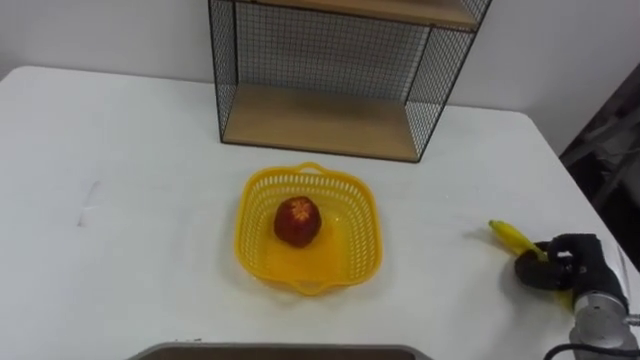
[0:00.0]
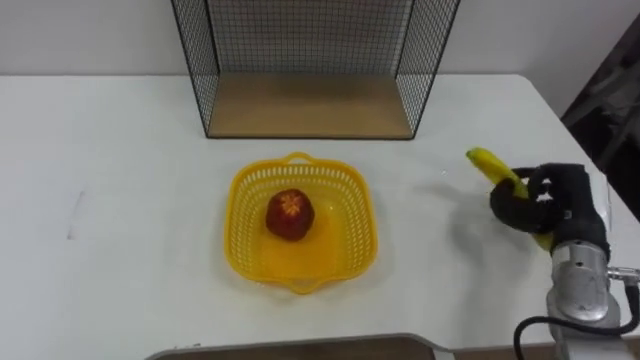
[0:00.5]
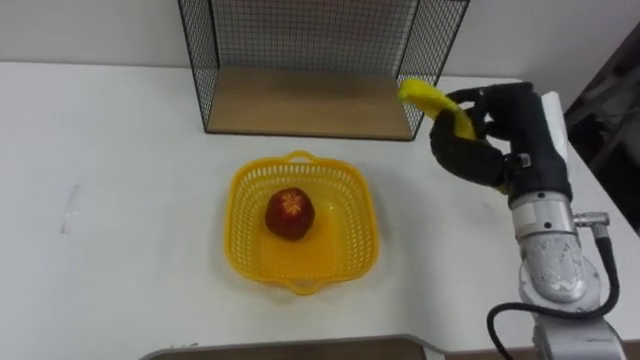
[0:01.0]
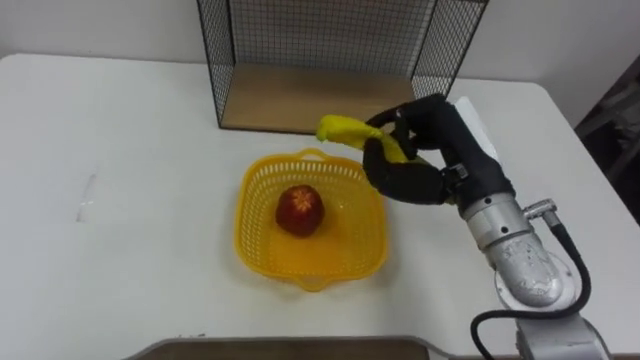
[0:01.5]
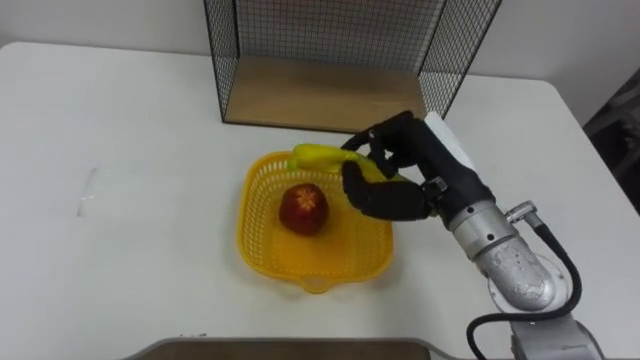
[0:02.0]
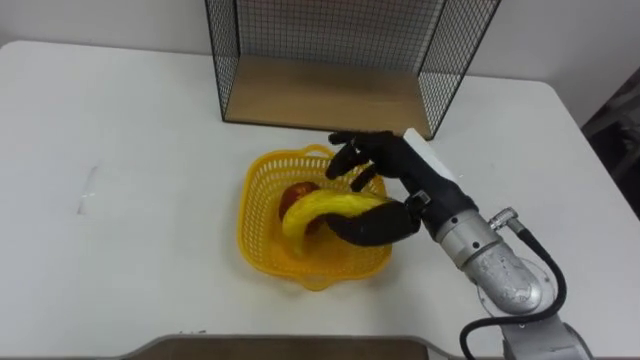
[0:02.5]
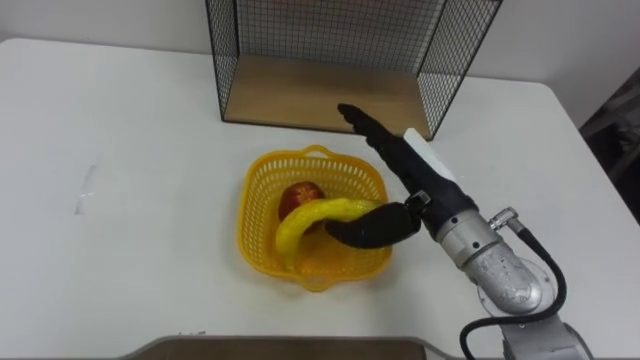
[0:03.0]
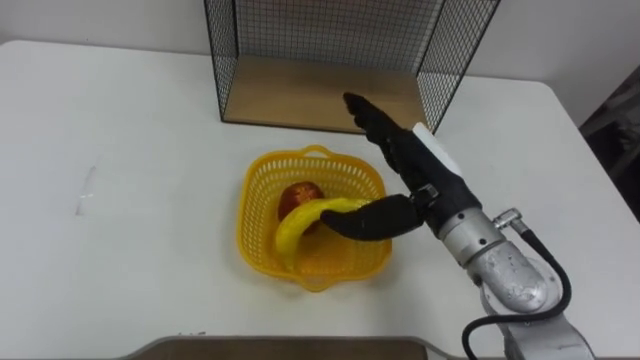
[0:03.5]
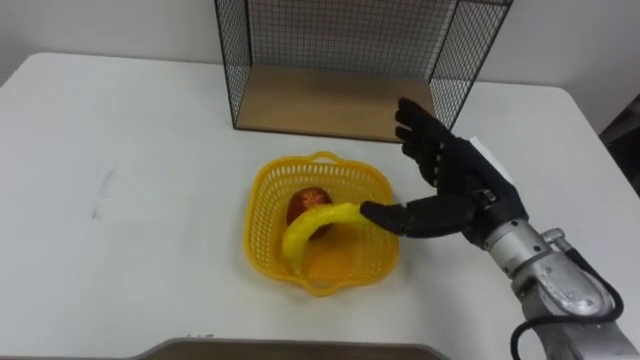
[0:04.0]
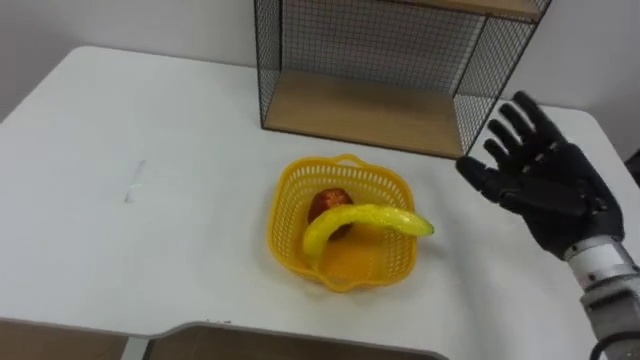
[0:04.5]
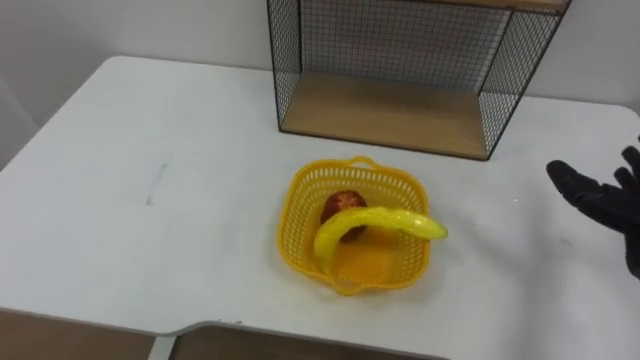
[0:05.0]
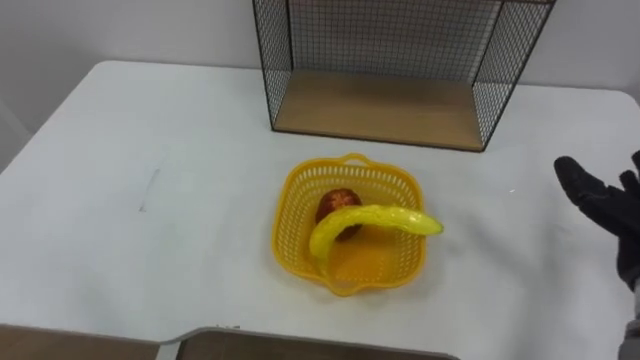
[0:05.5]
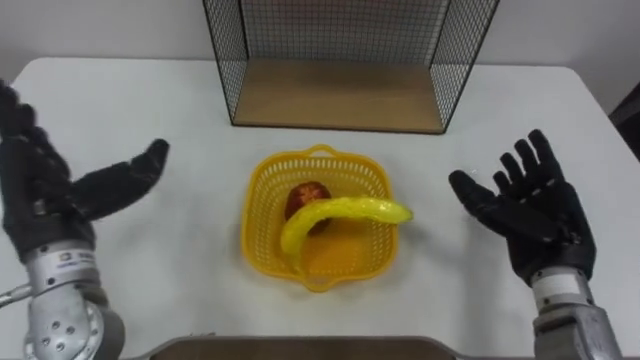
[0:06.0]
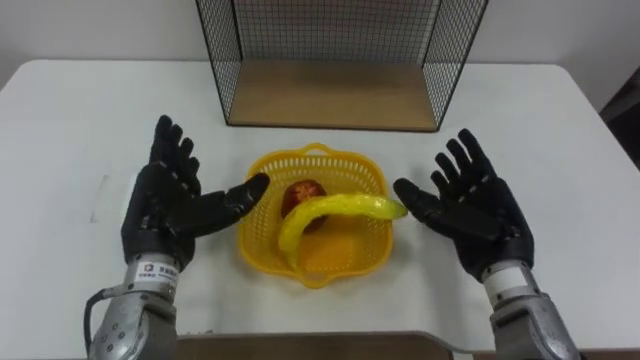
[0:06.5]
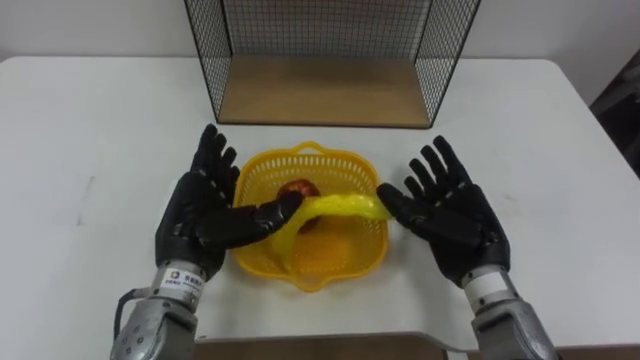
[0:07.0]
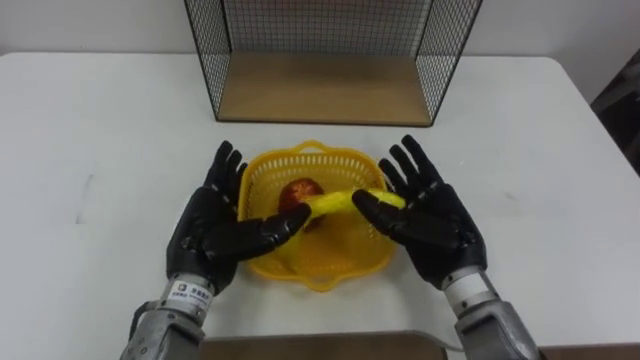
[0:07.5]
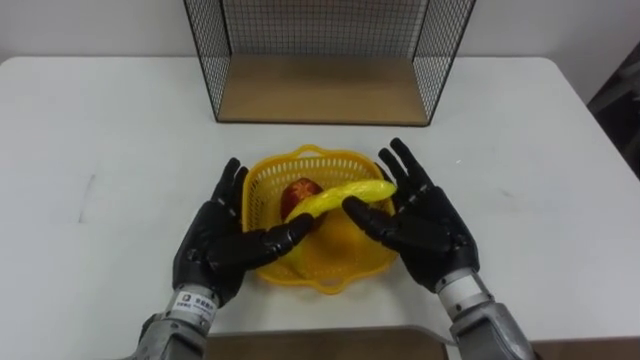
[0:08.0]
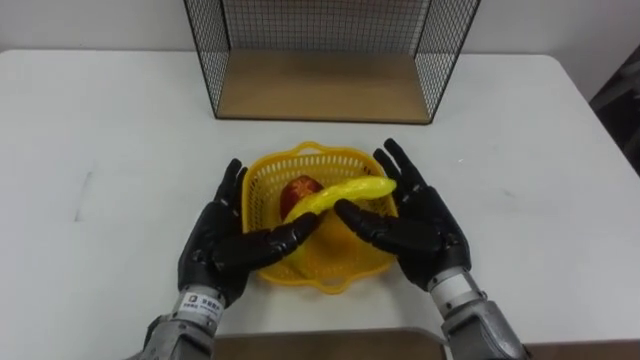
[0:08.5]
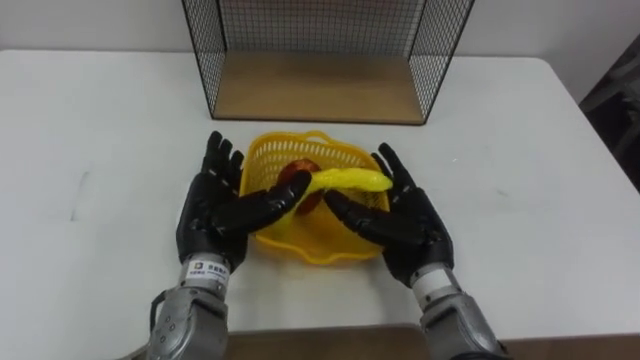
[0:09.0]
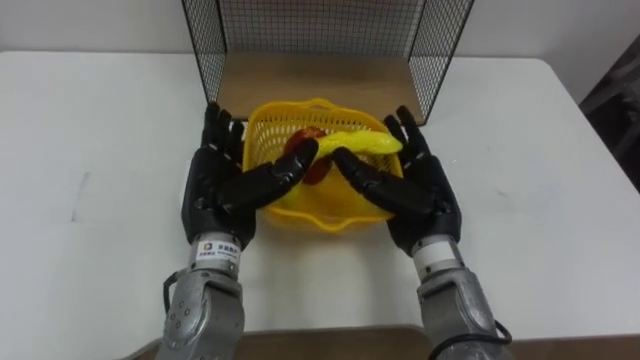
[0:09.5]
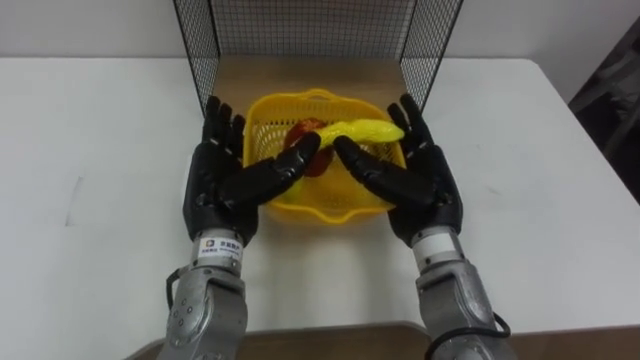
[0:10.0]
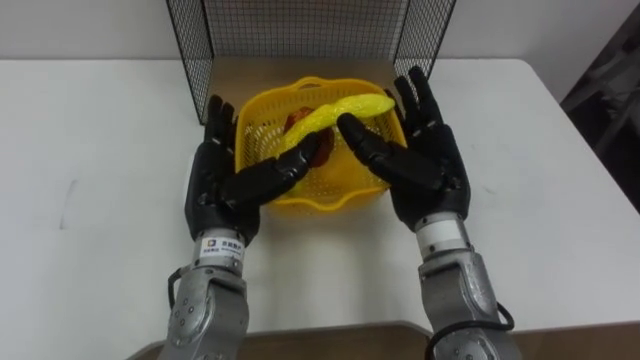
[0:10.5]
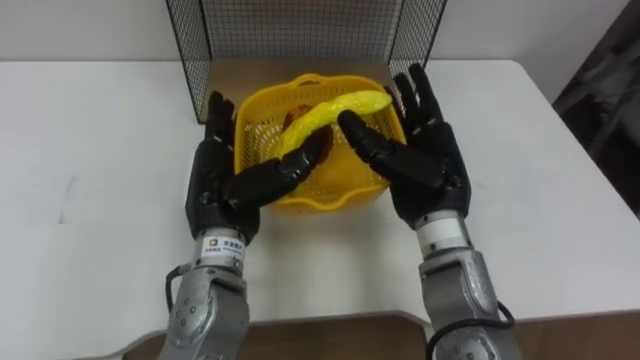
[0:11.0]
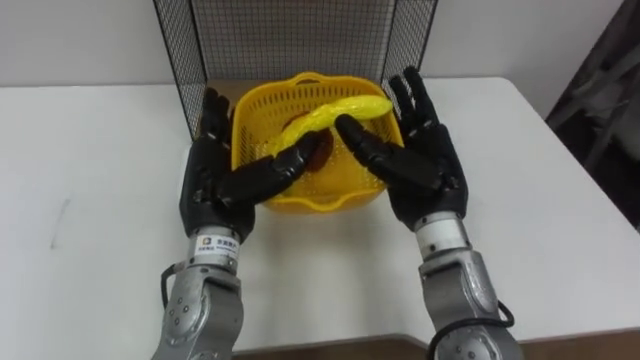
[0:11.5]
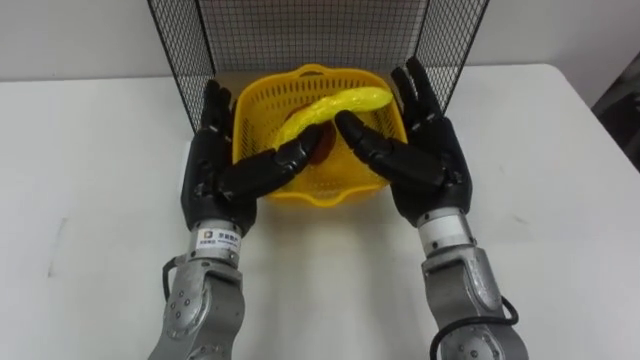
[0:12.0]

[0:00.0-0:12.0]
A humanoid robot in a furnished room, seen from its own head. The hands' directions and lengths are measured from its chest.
Task of the whole recording: Put the fruit on the table into the basket, then place the basket on the shelf.
0:00.0 to 0:02.0: The right hand is displaced to the left and upward by some 30 cm.
0:02.0 to 0:04.0: The right hand opens up.
0:06.0 to 0:08.0: The left hand is displaced to the right and downward by approximately 20 cm, while the right hand shifts roughly 15 cm to the left.
0:08.0 to 0:10.0: The left hand shifts approximately 5 cm upward. The right hand moves approximately 5 cm.

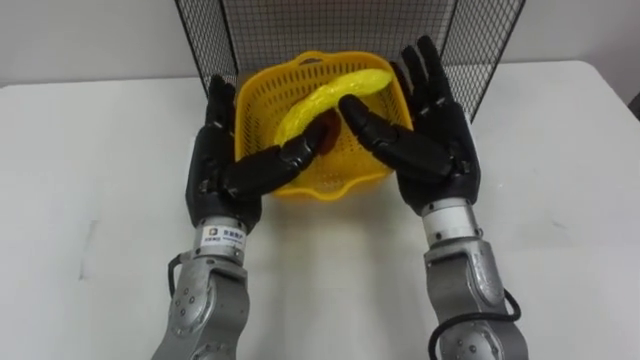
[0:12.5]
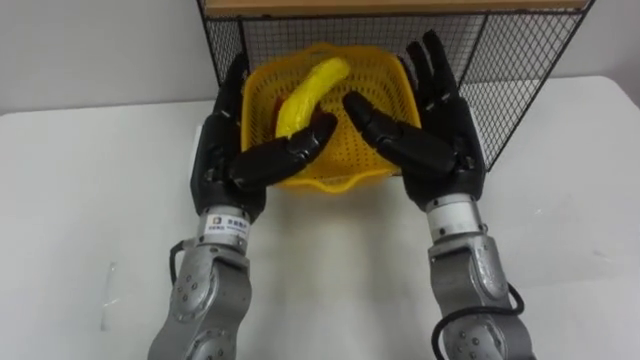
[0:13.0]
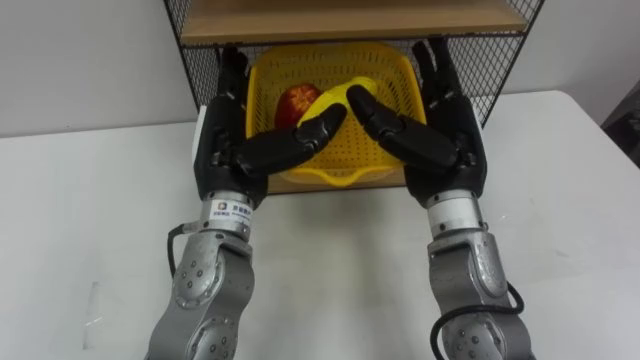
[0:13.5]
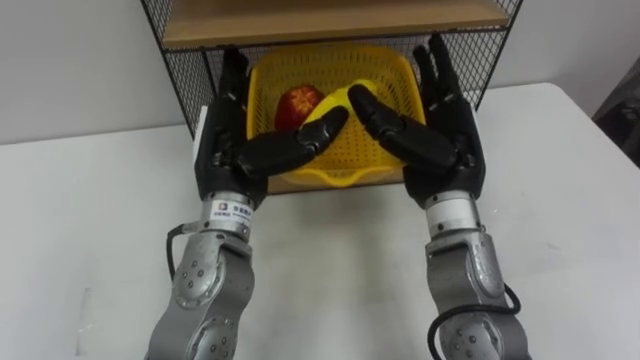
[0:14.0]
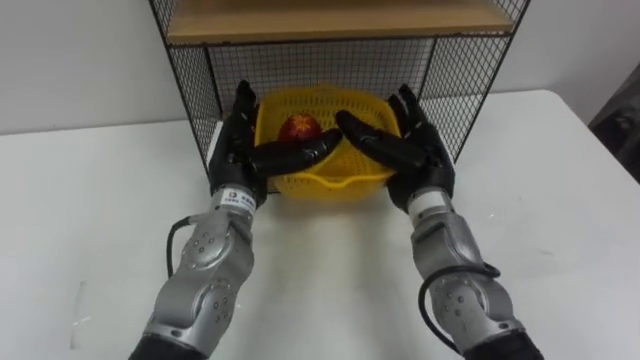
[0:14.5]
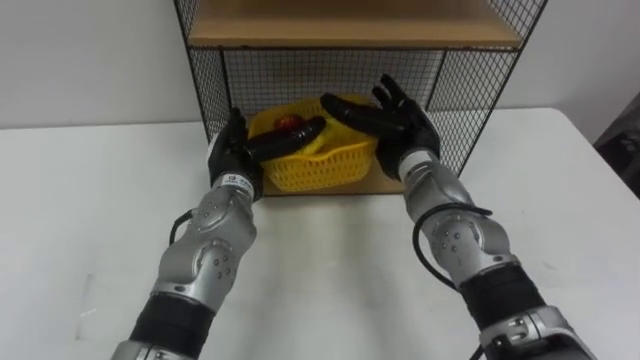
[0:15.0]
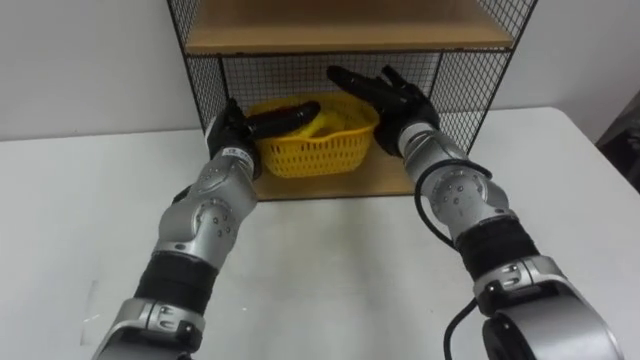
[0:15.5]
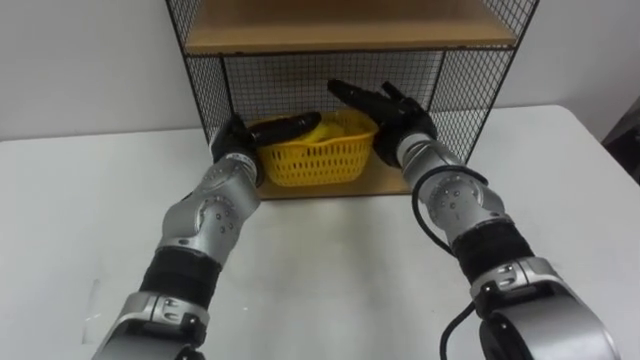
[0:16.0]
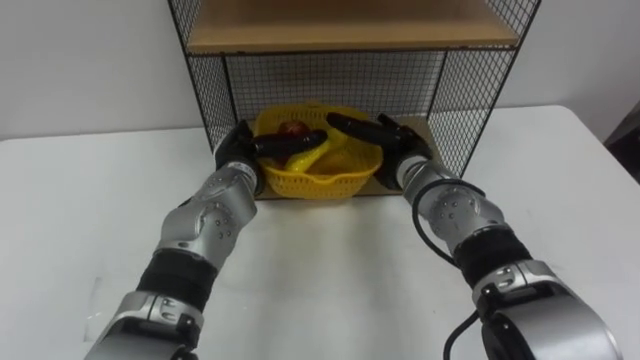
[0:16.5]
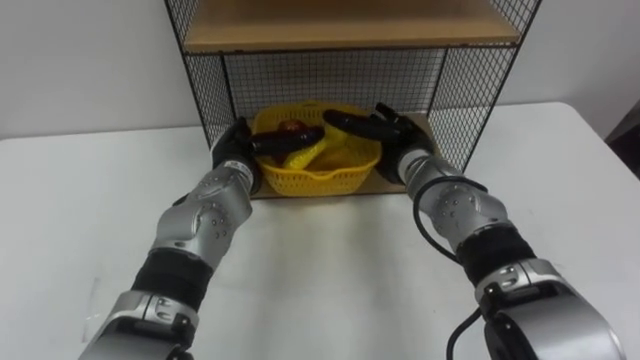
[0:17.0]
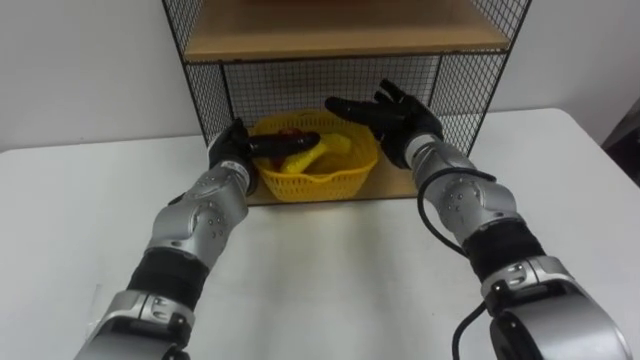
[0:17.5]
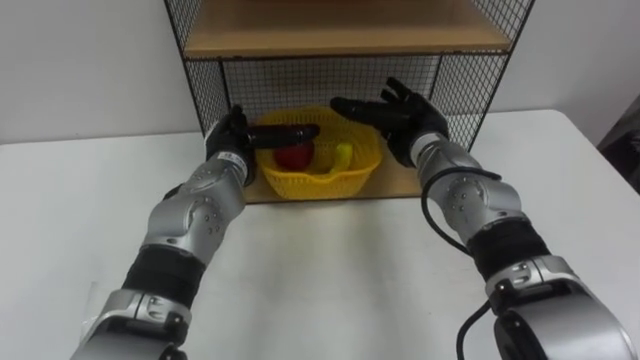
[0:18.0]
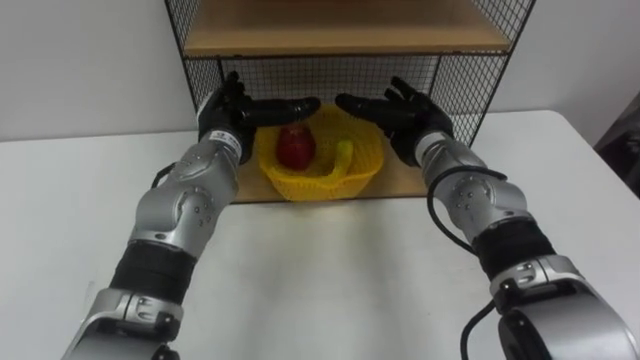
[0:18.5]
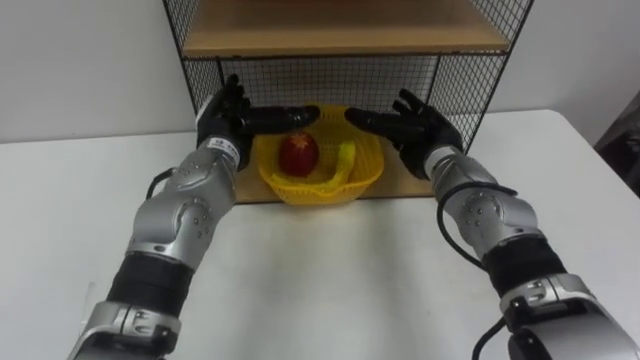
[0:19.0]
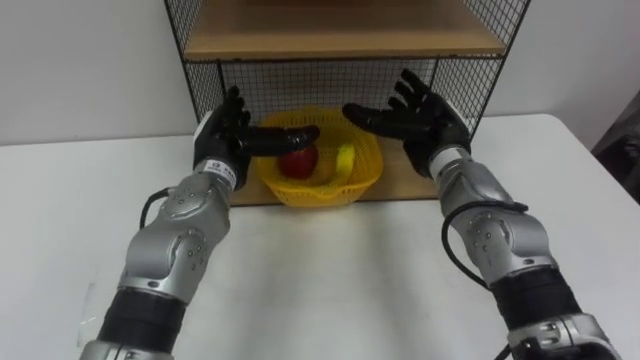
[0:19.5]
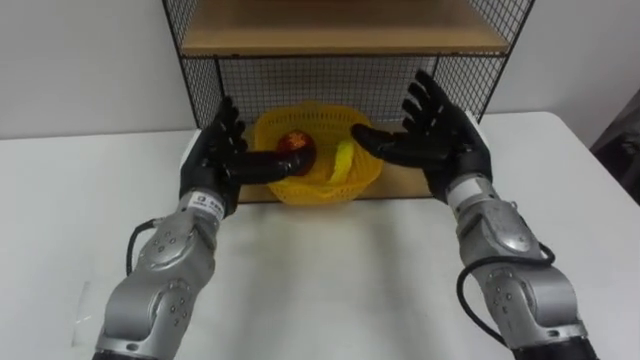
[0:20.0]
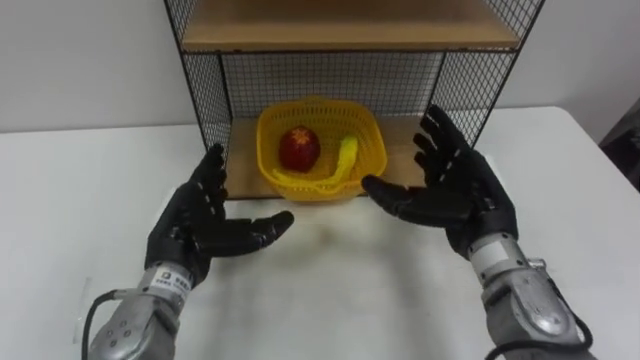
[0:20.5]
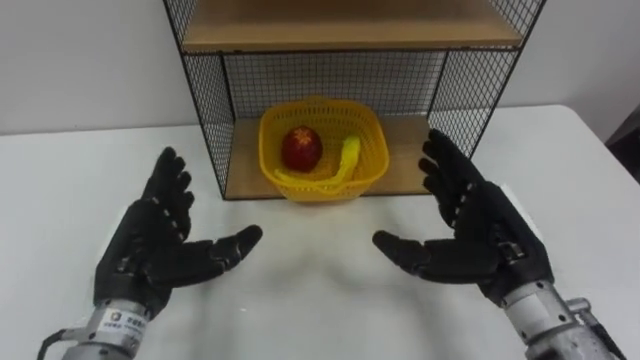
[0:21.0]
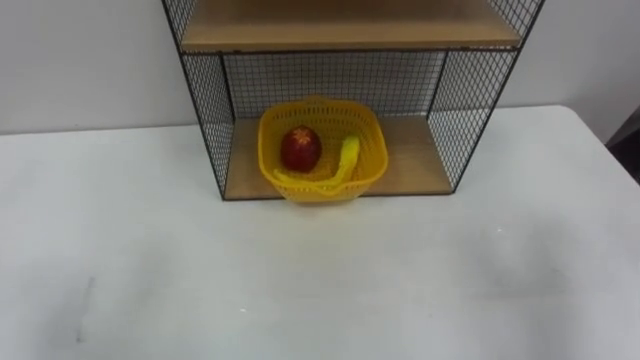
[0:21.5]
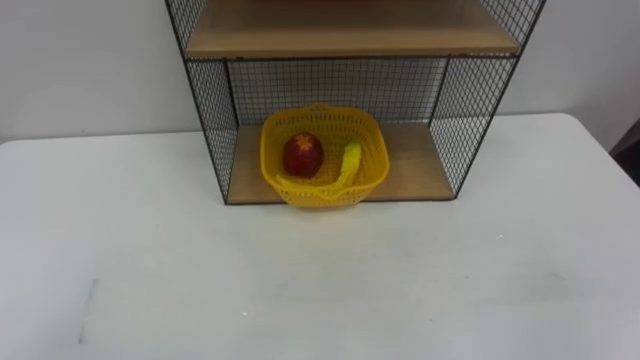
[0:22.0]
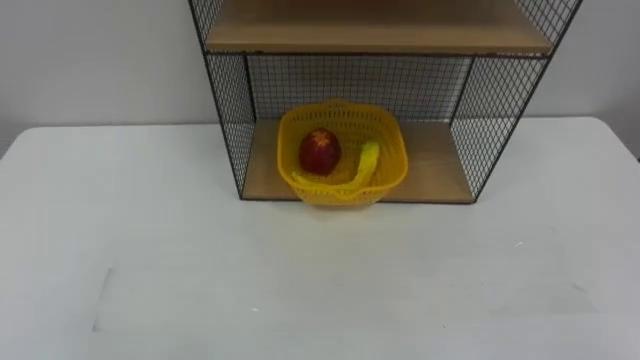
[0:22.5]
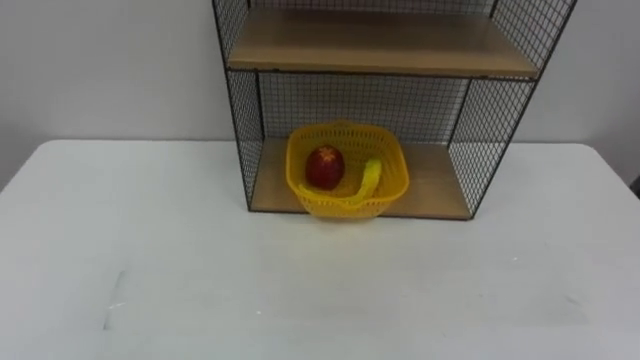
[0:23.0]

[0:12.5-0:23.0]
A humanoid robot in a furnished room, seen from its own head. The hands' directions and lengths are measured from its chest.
Task of the whole recording: Put the fruit on the table into the basket, then place the basket on the shelf.
0:12.5 to 0:14.5: The left hand changes place by approximately 5 cm. The right hand travels downward by about 5 cm.
0:14.5 to 0:16.5: The right hand is displaced forward by roughly 5 cm, while the left hand heads downward, covering about 5 cm.
0:16.5 to 0:19.0: The left hand travels upward by about 5 cm.
0:19.0 to 0:21.0: The left hand travels backward and to the left by approximately 20 cm, while the right hand moves backward, approximately 15 cm.
